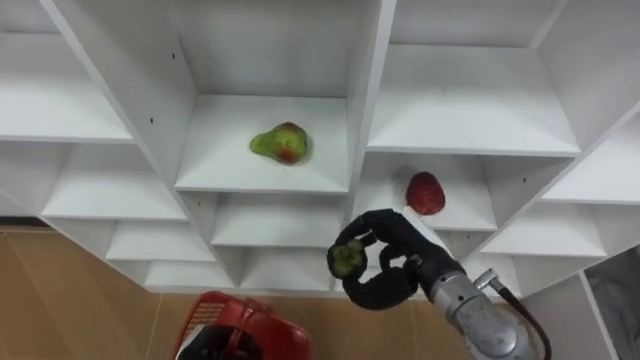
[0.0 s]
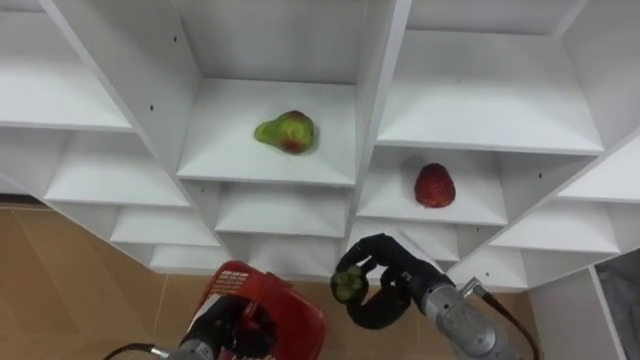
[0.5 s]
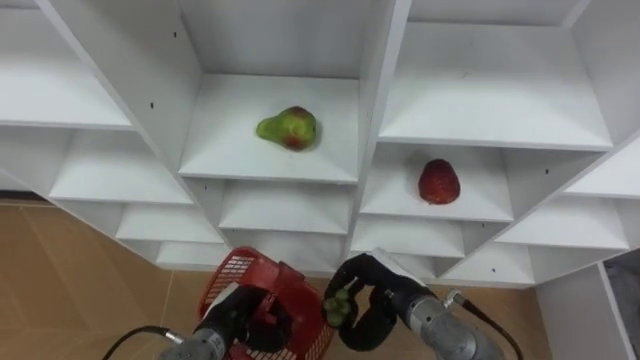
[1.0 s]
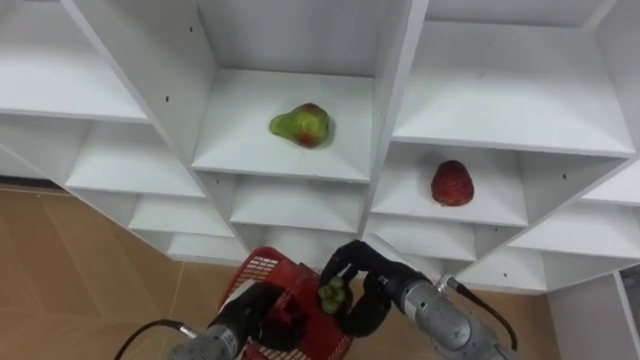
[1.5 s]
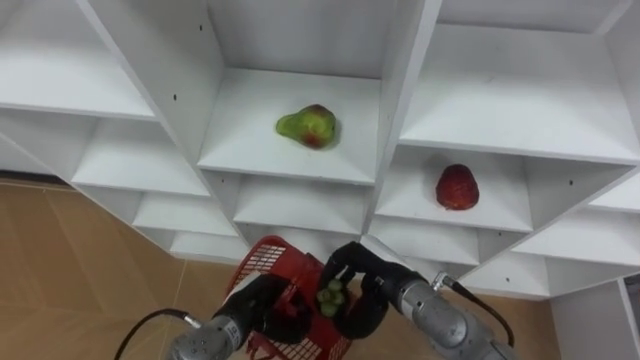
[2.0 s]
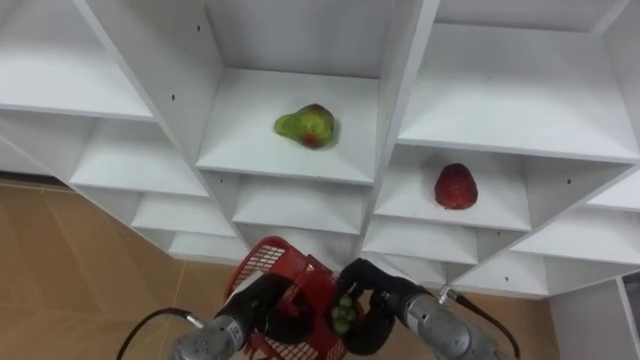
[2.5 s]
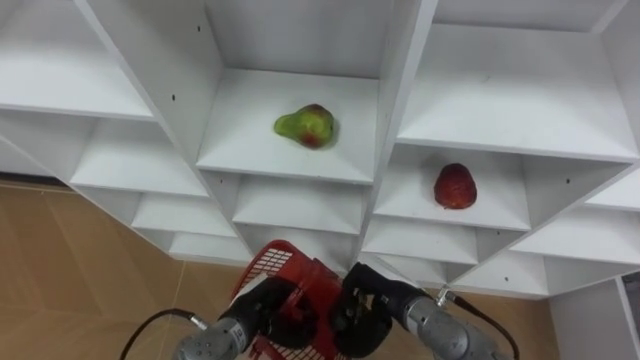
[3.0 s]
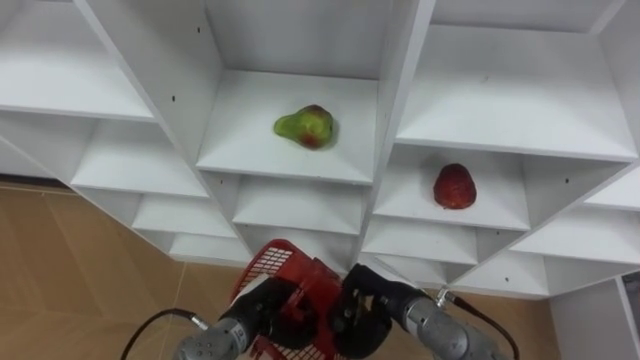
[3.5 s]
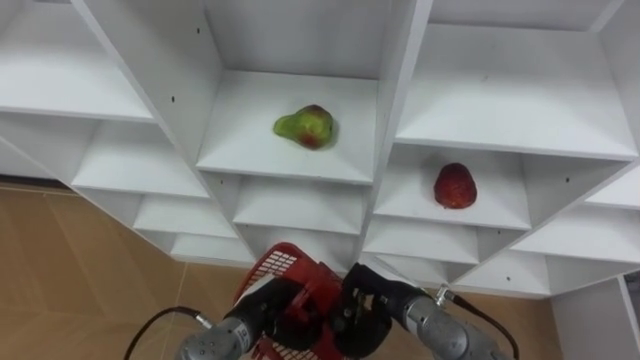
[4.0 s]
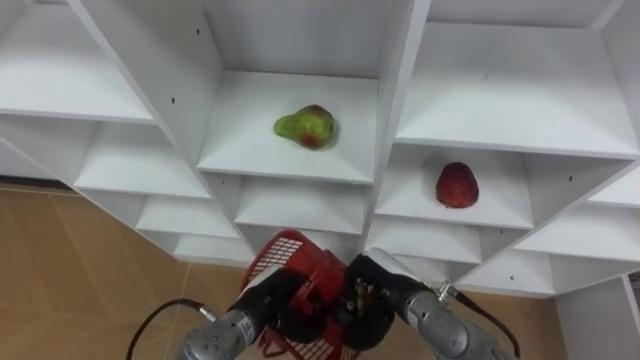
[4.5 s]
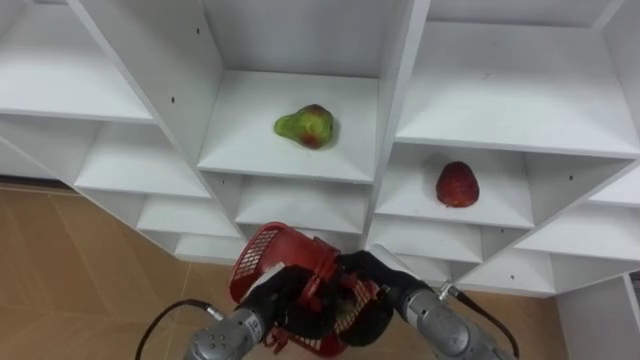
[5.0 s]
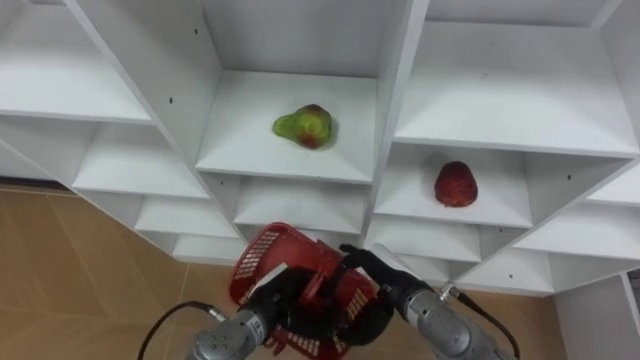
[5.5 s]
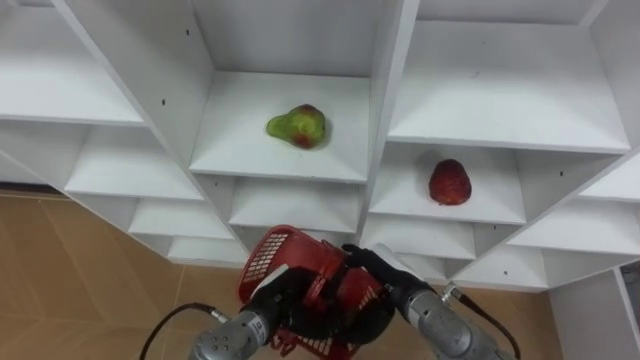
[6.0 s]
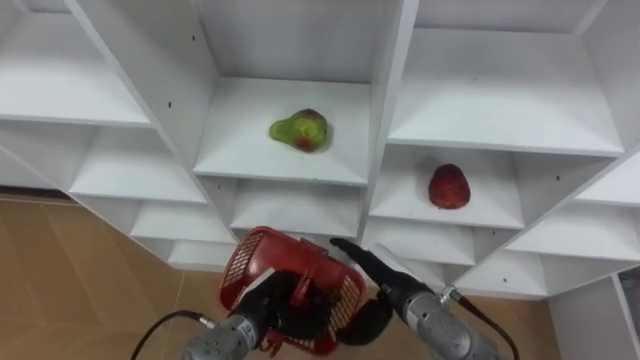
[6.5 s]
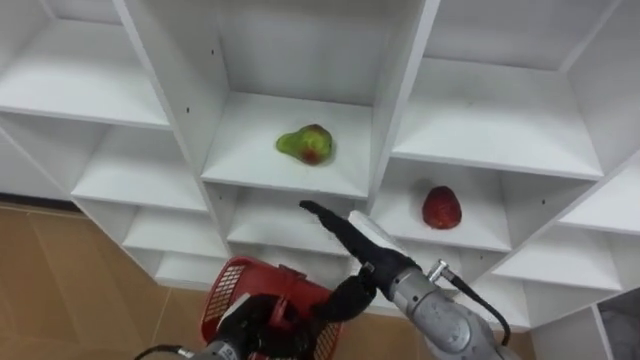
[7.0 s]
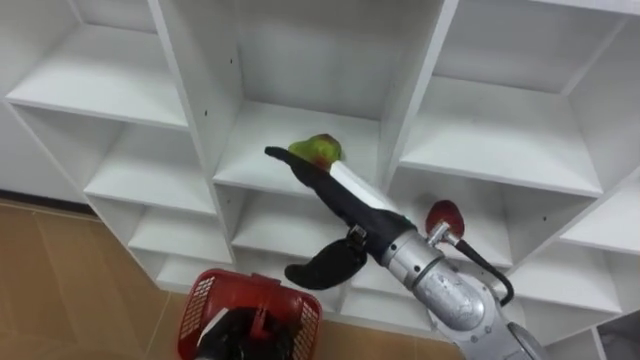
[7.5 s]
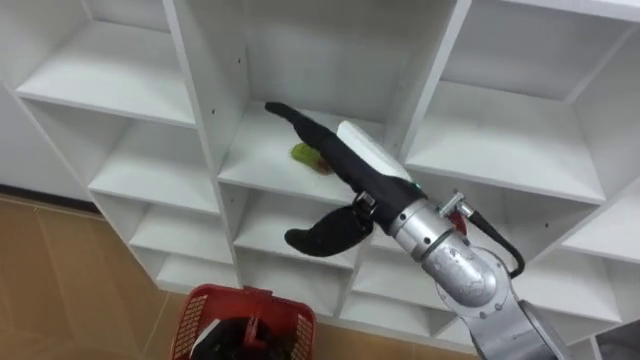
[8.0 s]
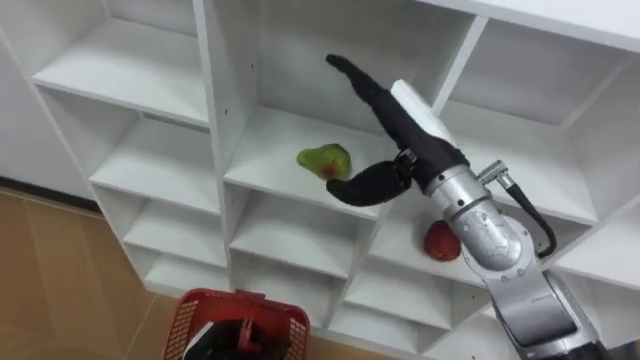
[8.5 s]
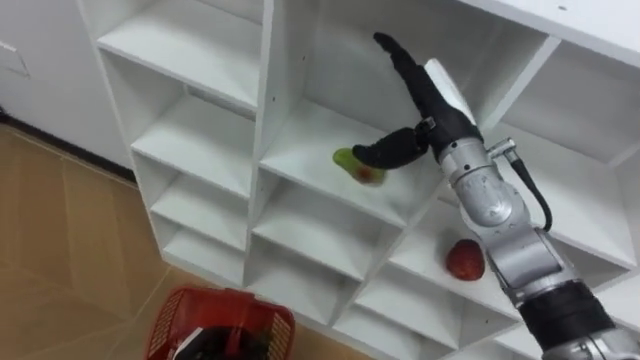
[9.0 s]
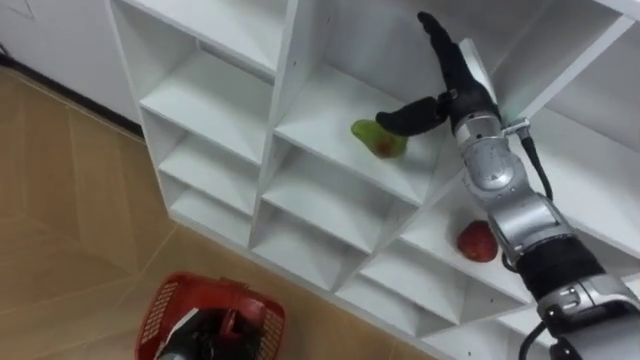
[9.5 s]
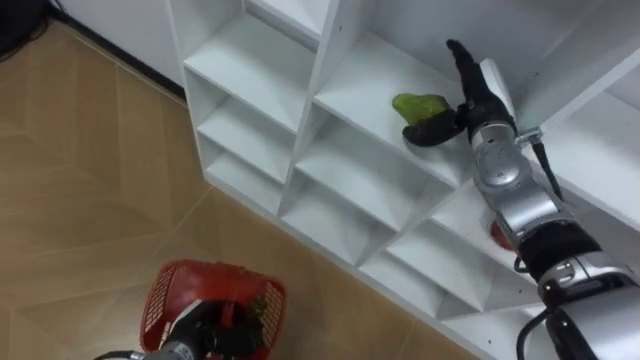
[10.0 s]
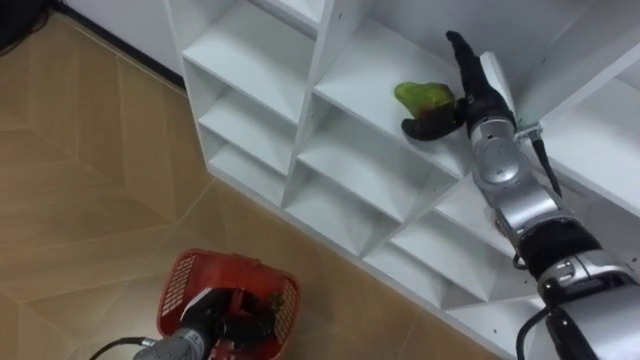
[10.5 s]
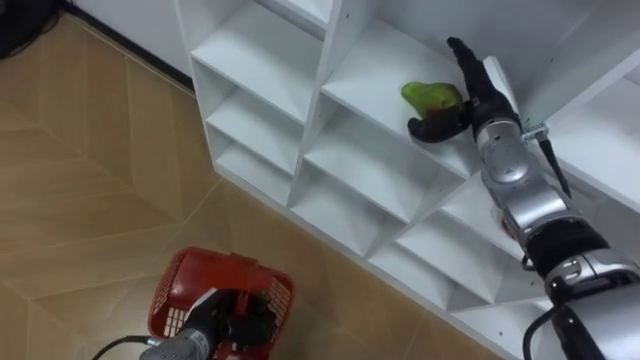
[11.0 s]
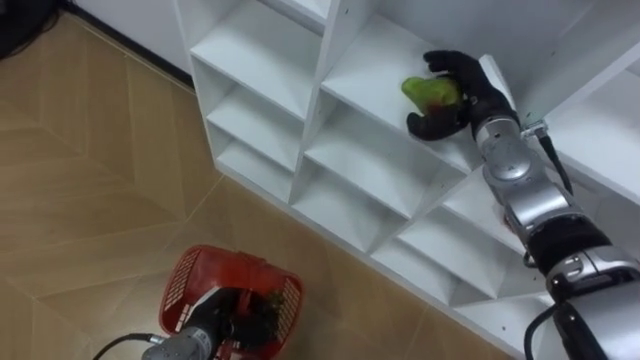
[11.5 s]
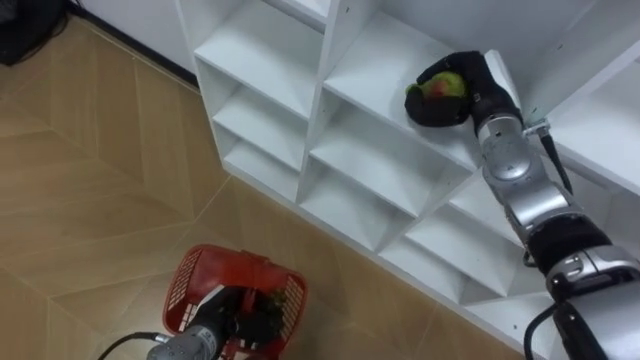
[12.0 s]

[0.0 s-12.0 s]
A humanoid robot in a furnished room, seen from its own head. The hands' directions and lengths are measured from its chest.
Task of the whole recording: Hold the basket and collect the fruits from 3 different cells of the closet into it.
0.0 to 2.0 s: The left hand heads to the right and forward, covering about 10 cm. Meanwhile the right hand moves downward, roughly 5 cm.
2.0 to 4.0 s: There are only small adjustments of the hands.
4.0 to 6.0 s: The right hand opens its fingers.
6.0 to 8.0 s: The right hand heads upward, covering roughly 20 cm. The left hand heads to the left, backward and downward, covering approximately 10 cm.
8.0 to 10.0 s: The right hand is displaced to the right and forward by approximately 20 cm.
10.0 to 12.0 s: The right hand closes.

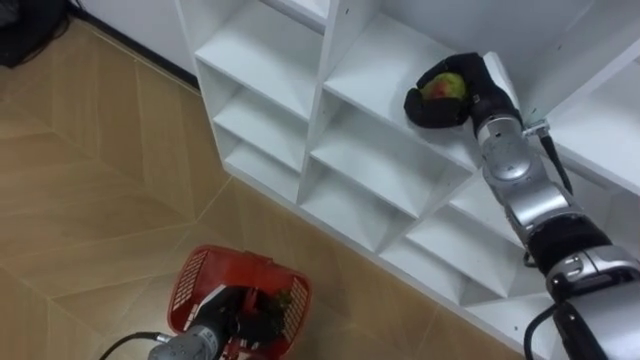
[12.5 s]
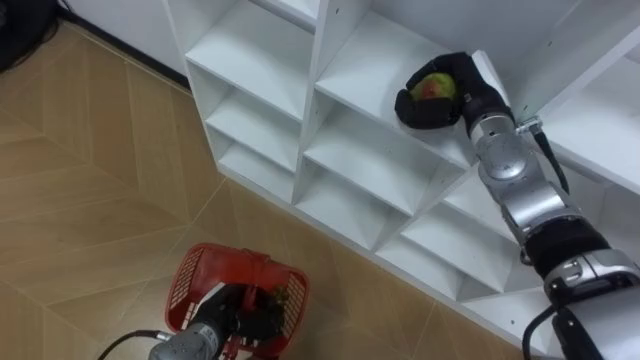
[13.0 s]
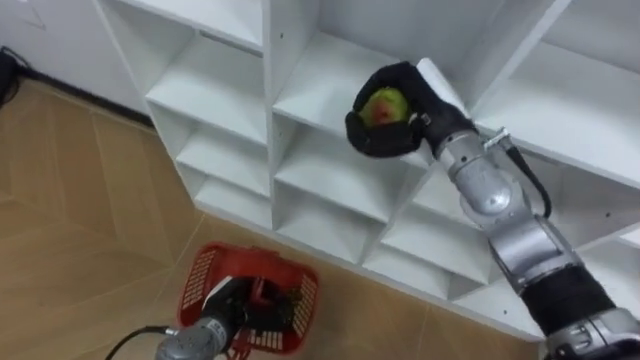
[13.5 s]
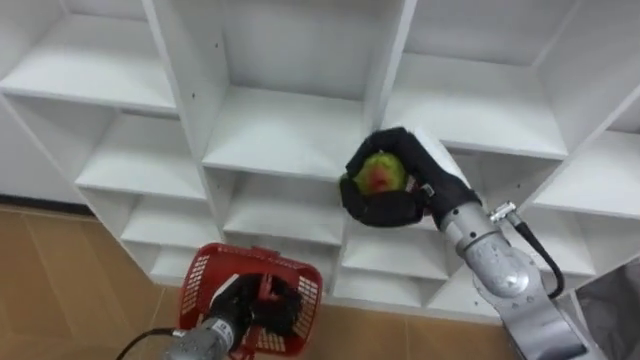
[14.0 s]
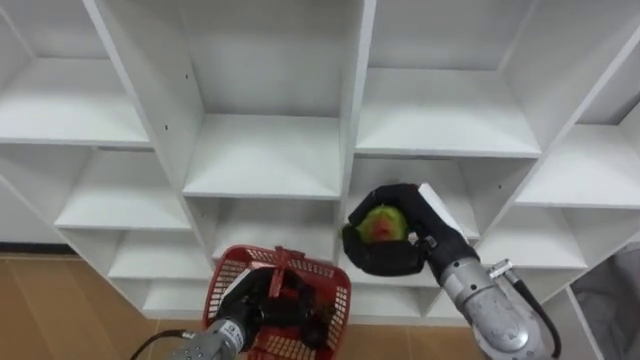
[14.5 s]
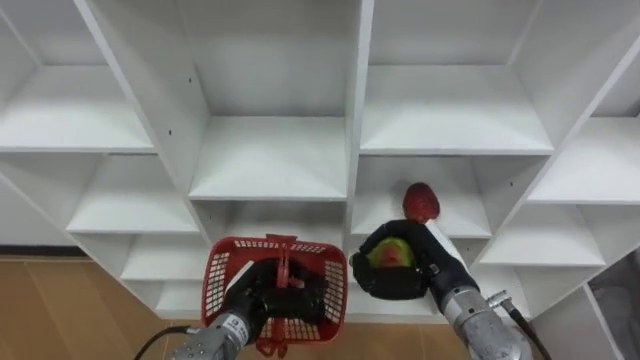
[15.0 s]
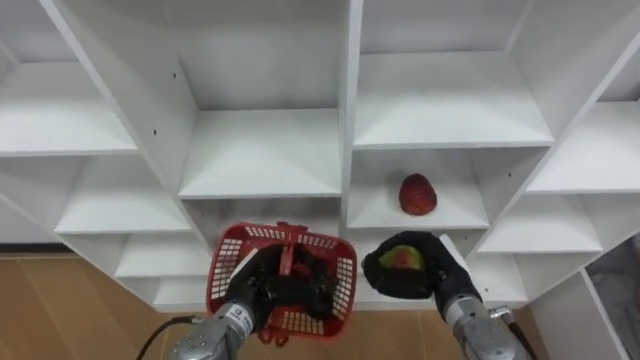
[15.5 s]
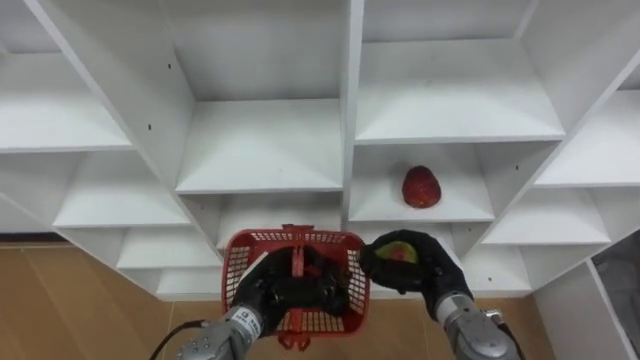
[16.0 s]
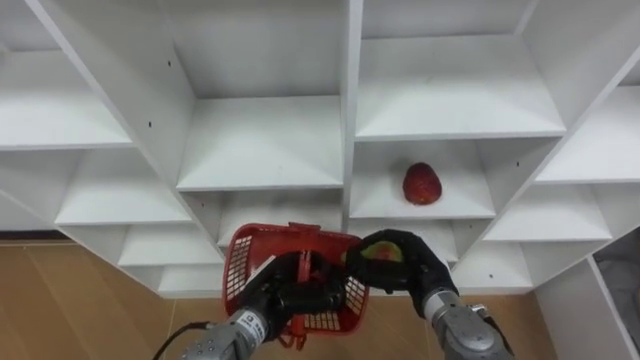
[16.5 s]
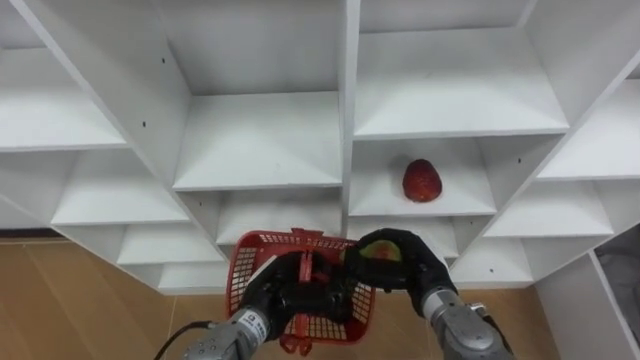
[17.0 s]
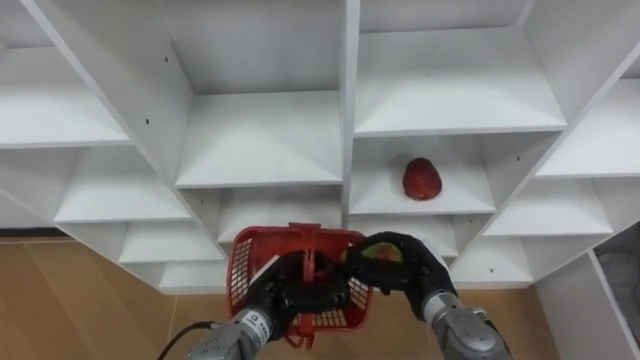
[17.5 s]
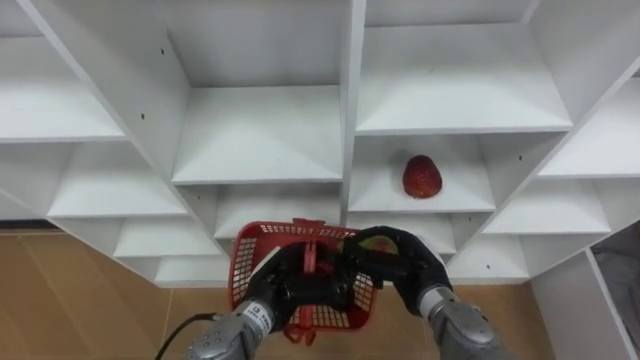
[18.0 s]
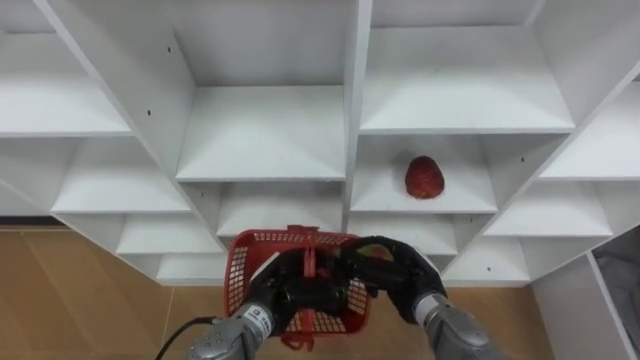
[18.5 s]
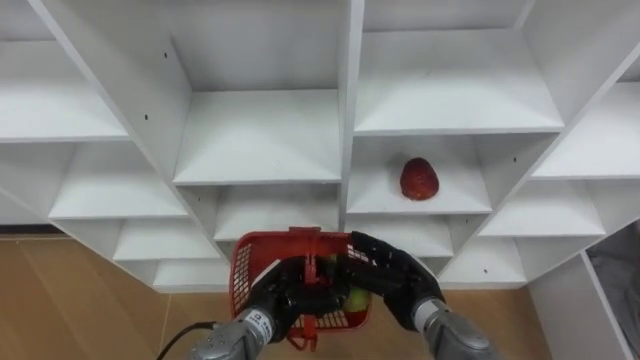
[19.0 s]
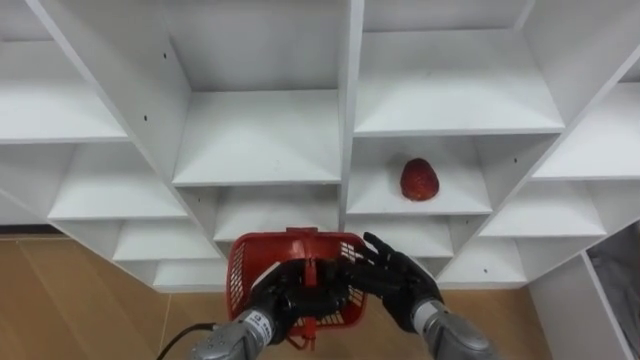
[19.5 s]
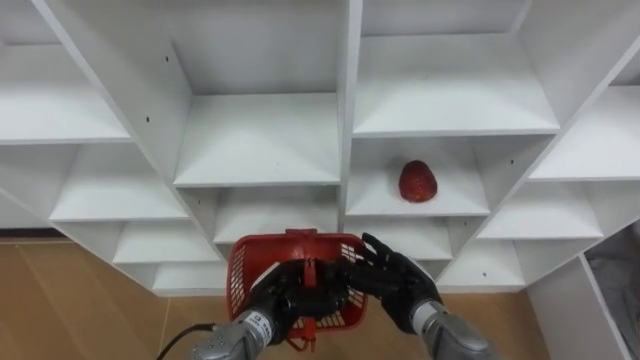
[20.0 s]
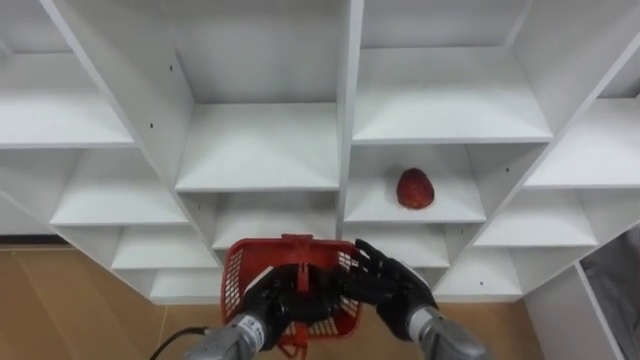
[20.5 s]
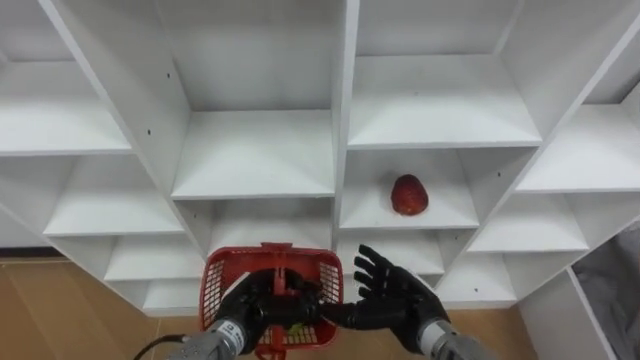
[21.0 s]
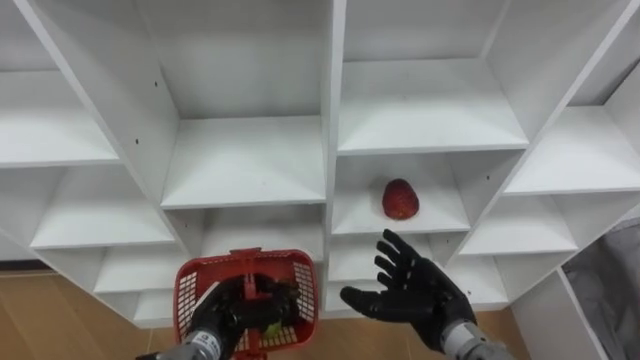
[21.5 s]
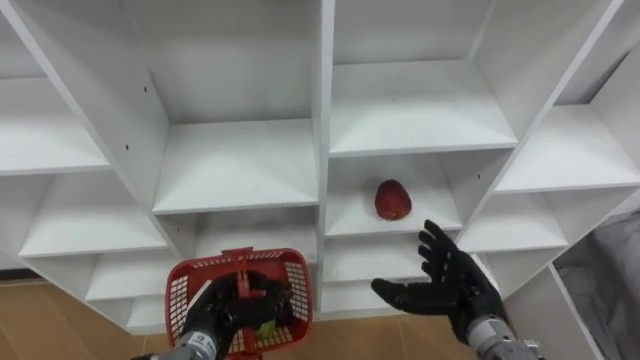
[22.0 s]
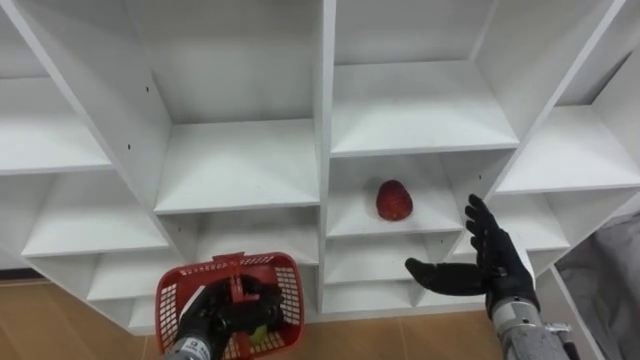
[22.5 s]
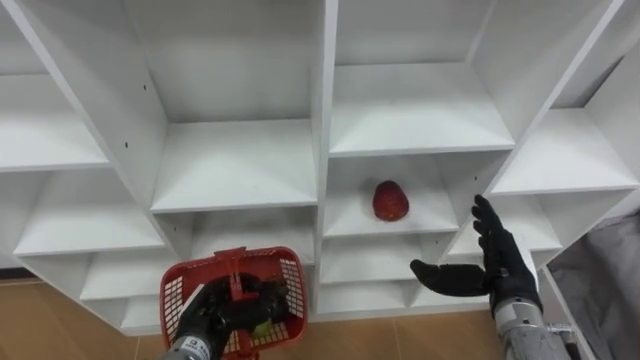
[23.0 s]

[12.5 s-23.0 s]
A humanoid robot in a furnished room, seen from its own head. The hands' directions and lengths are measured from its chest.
Task of the whole recording: Hold the basket and collect the fruits from 3 different cells of the closet into it.
12.5 to 14.5 s: The right hand heads backward, to the left and downward, covering about 20 cm. Meanwhile the left hand ends up about 5 cm from where it was.
14.5 to 16.5 s: The left hand moves approximately 5 cm; the right hand travels downward by about 10 cm.
16.5 to 19.0 s: The right hand opens its fingers.
21.0 to 23.0 s: The right hand is displaced to the right and upward by roughly 15 cm, while the left hand shifts about 5 cm to the left.
